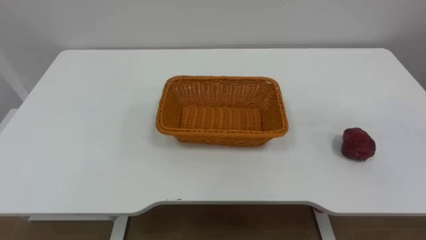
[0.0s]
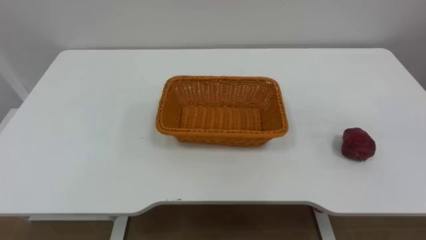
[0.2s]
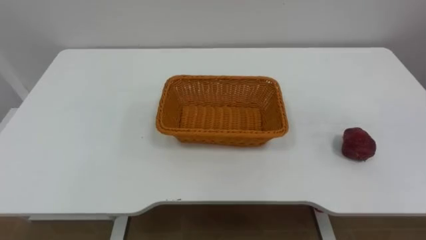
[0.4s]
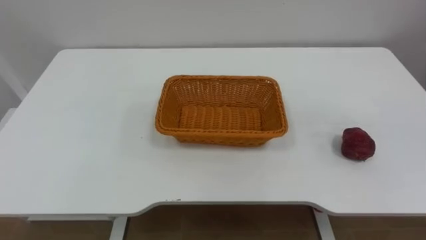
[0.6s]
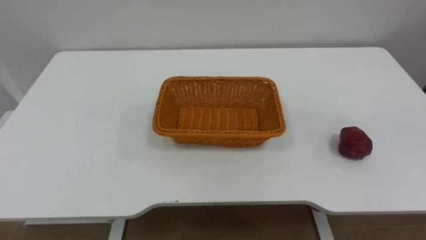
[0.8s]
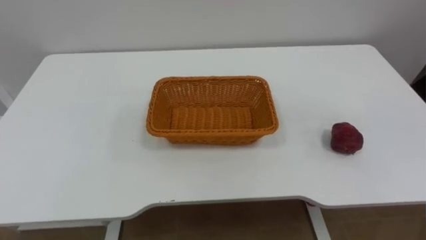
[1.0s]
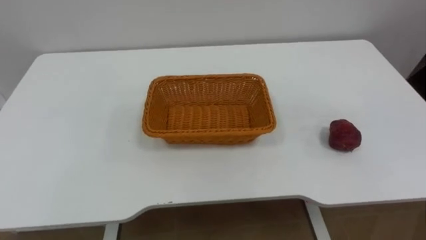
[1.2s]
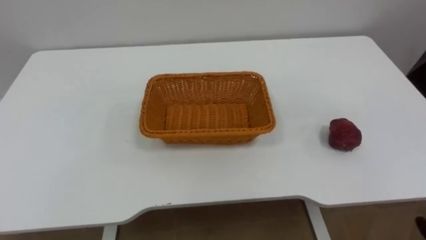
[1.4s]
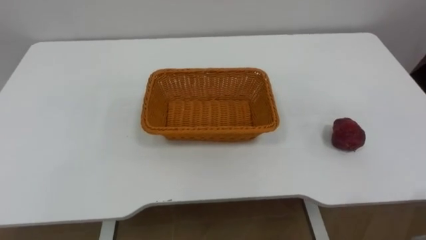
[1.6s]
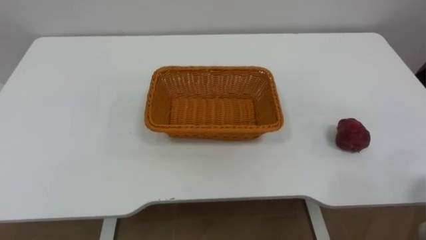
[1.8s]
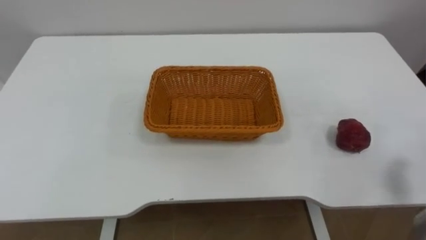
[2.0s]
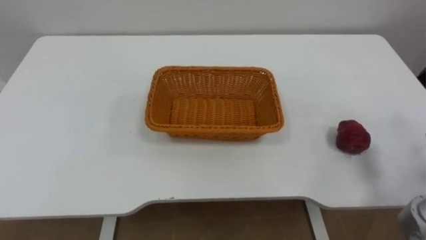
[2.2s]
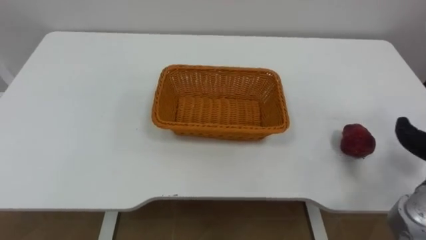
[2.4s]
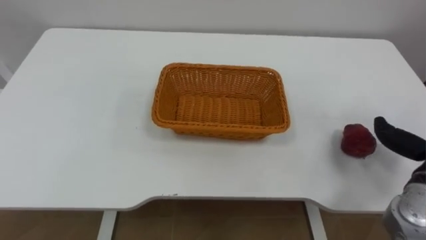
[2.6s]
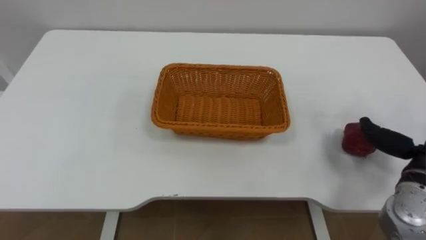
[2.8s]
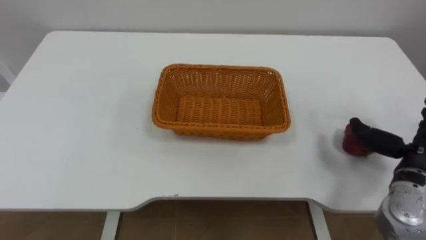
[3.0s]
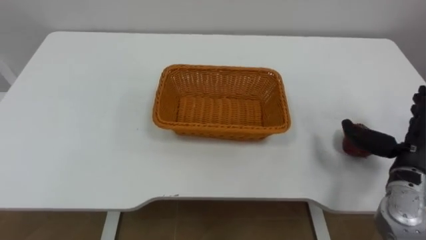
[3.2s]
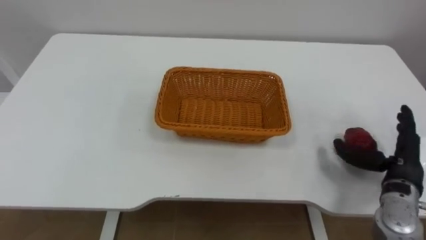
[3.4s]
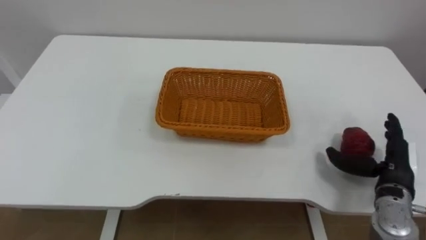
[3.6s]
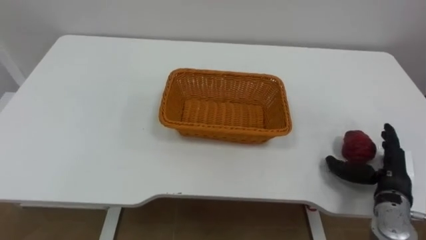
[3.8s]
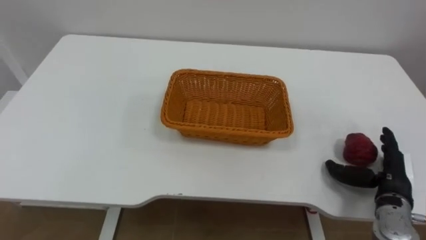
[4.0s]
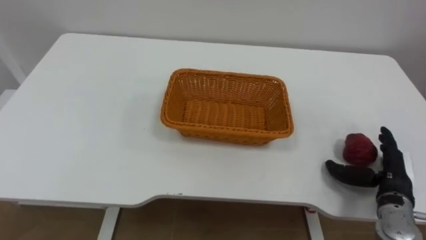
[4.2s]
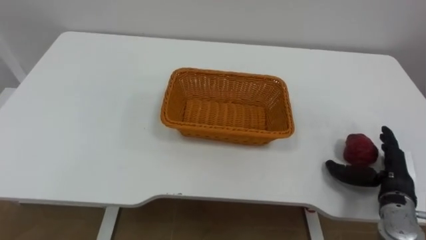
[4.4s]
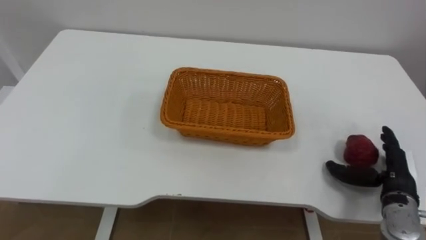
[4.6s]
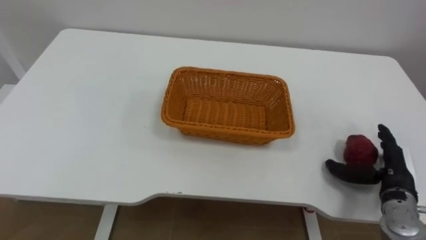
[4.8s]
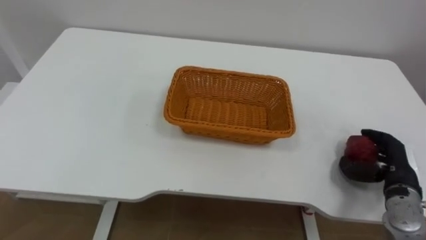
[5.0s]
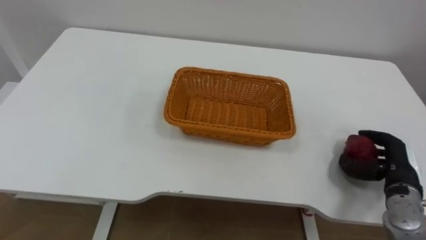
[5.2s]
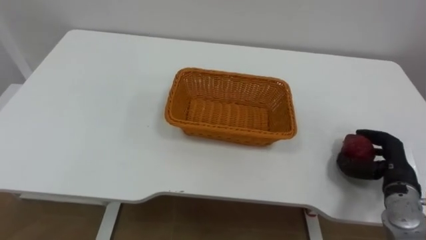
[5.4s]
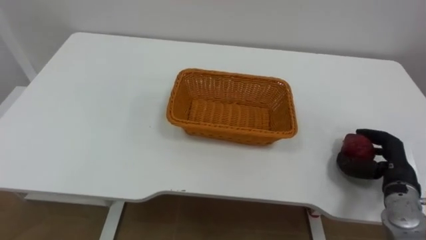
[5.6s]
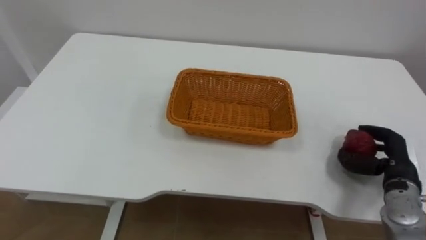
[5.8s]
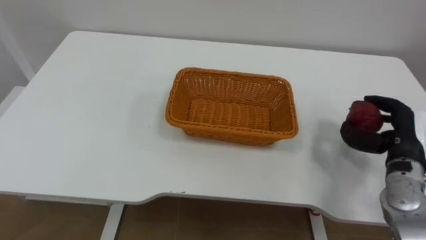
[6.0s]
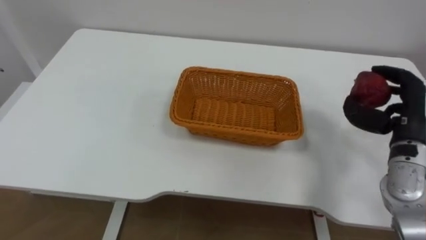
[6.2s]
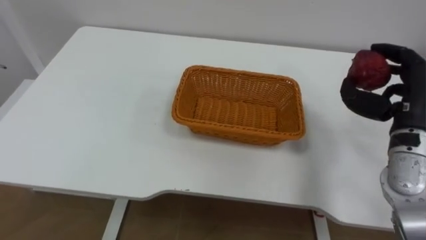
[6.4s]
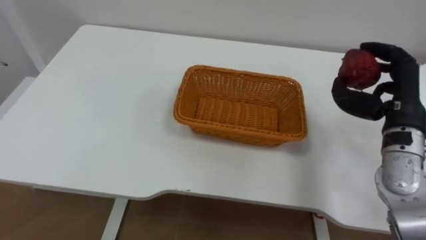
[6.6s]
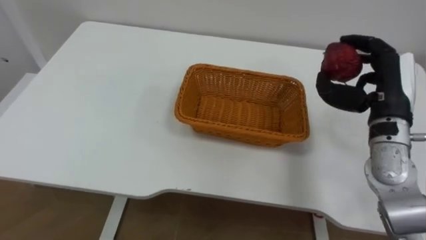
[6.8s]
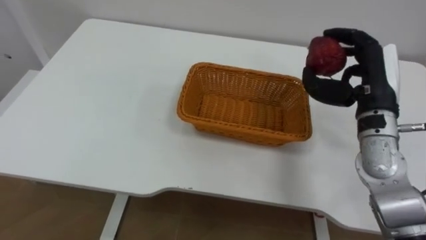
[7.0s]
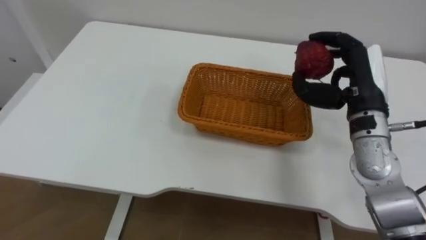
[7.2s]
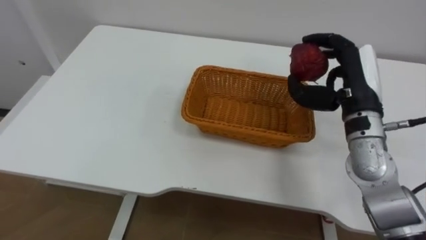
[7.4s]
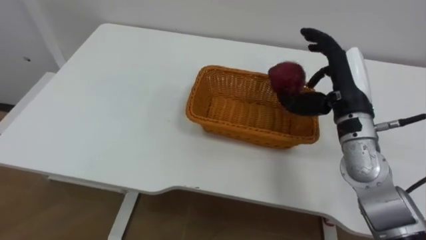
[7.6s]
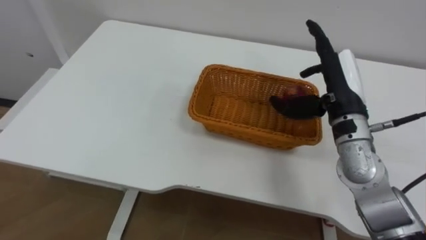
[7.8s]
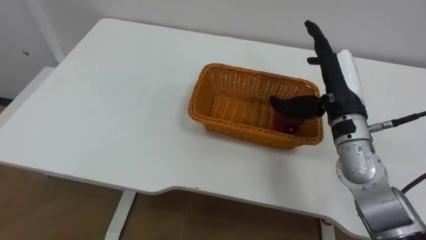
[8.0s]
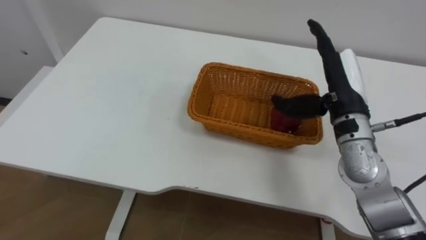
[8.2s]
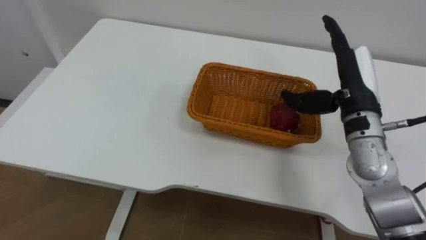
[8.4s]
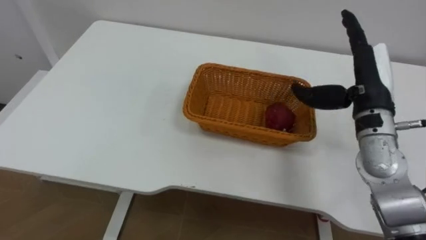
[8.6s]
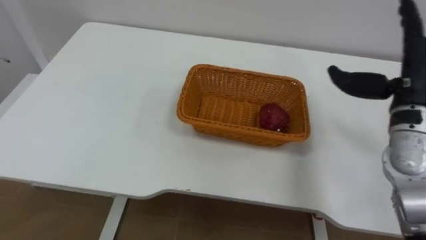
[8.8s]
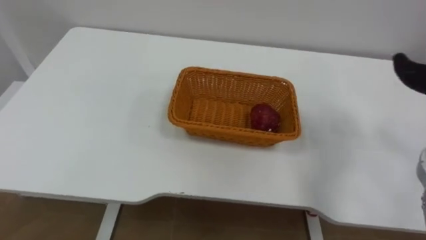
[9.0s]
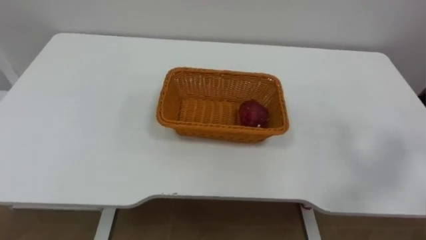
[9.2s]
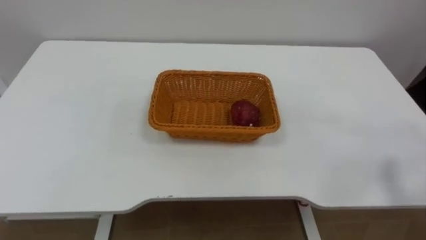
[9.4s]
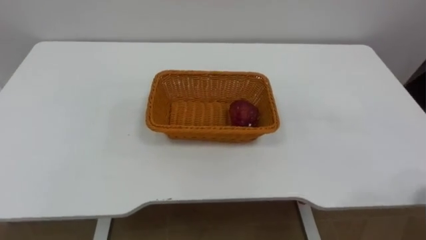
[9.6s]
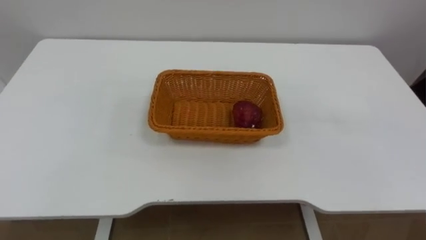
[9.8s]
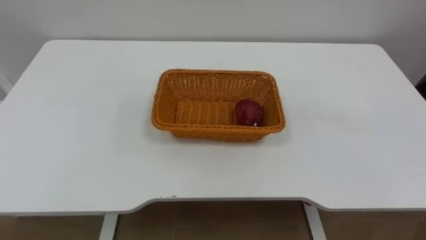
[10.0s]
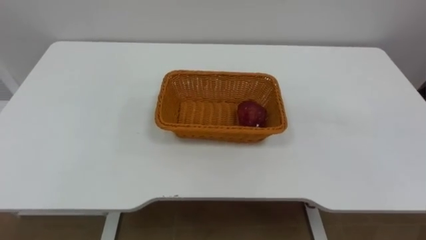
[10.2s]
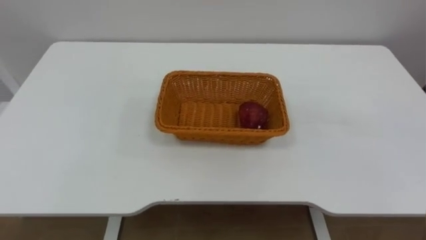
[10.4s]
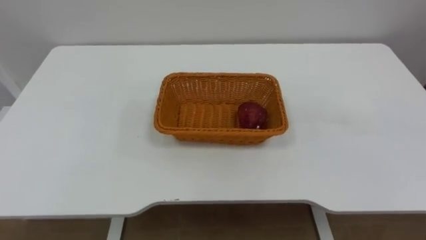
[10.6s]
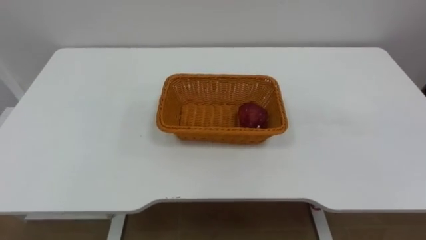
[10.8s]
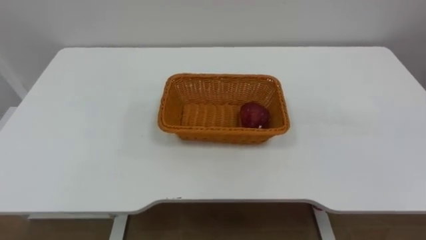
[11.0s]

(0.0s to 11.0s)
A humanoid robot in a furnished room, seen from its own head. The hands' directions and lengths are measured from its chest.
Task of the whole recording: Pick the apple and place it in the box.
3.2s - 4.8s: The right hand is displaced downward by roughly 5 cm.
4.8s - 6.2s: The right hand goes some 10 cm upward, and closes up.
6.2s - 7.8s: The right hand shifts roughly 10 cm to the left, and opens.

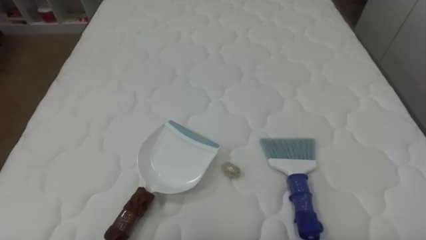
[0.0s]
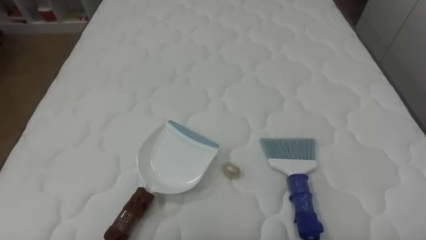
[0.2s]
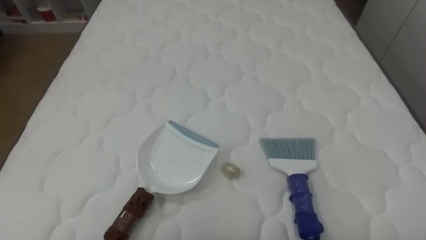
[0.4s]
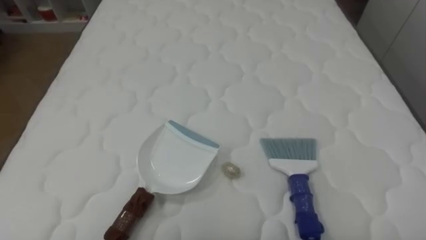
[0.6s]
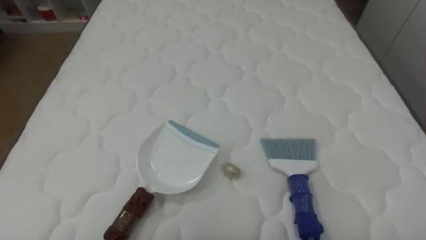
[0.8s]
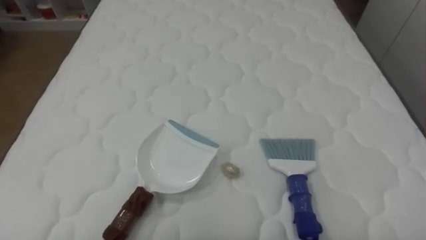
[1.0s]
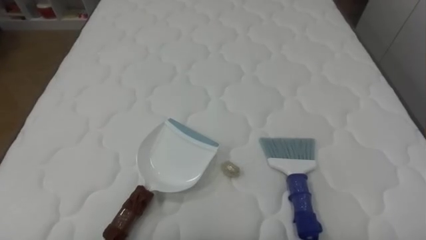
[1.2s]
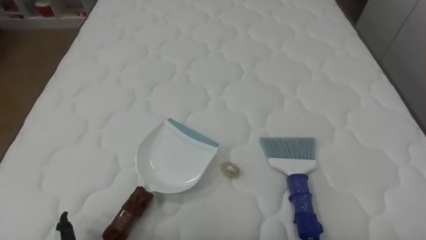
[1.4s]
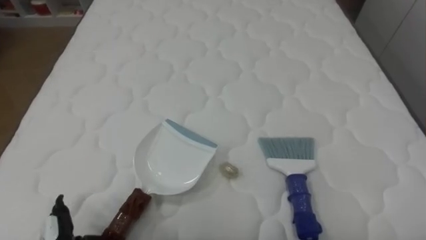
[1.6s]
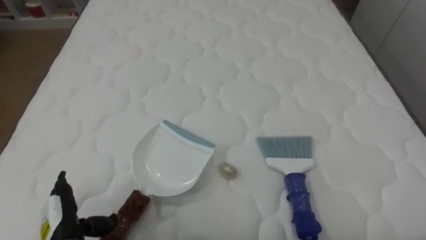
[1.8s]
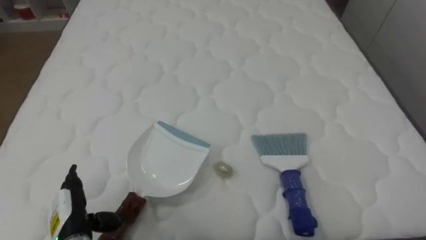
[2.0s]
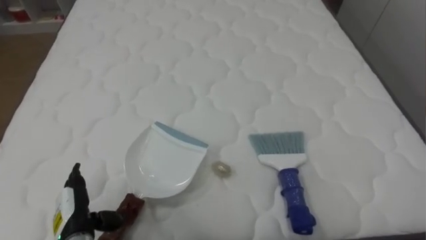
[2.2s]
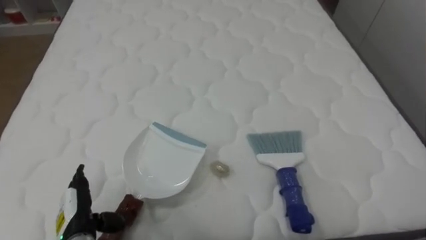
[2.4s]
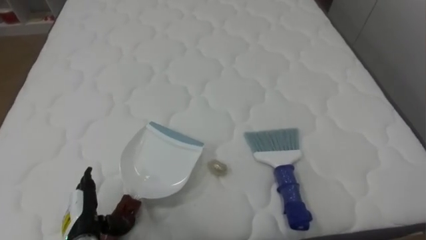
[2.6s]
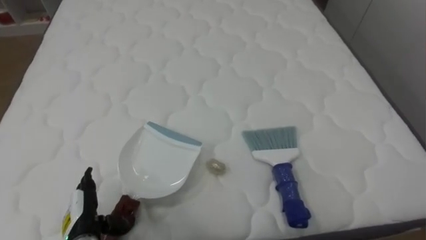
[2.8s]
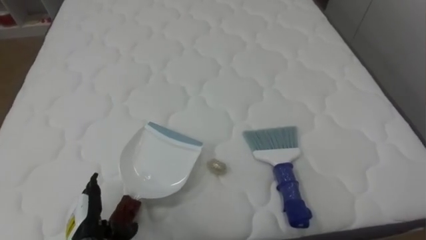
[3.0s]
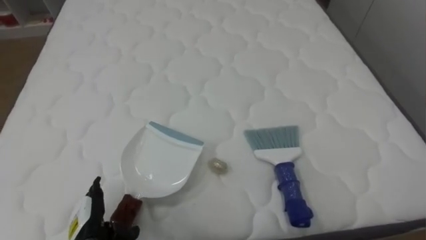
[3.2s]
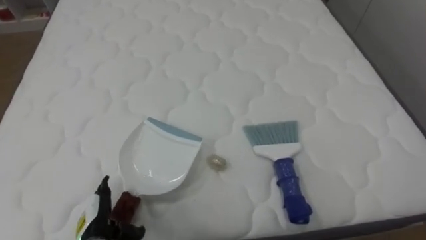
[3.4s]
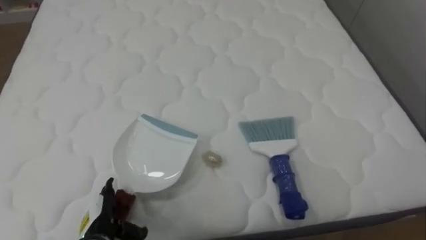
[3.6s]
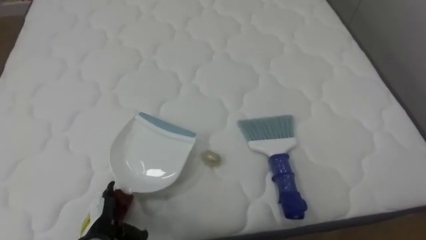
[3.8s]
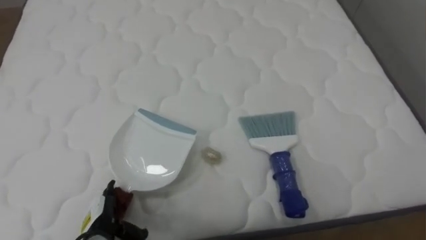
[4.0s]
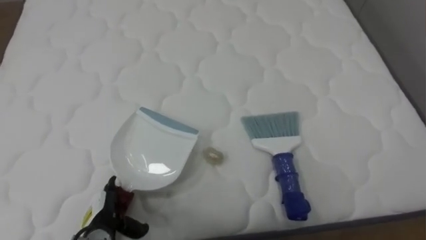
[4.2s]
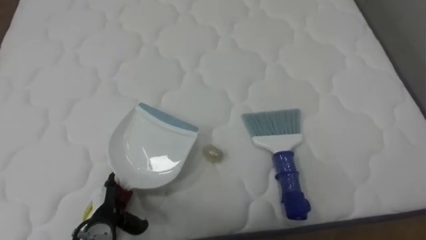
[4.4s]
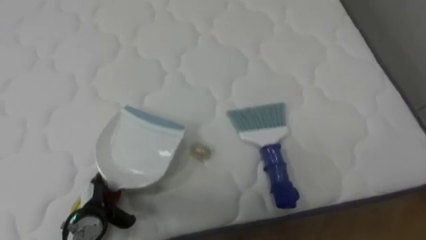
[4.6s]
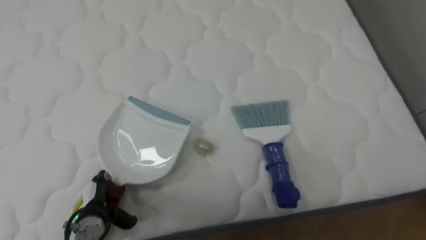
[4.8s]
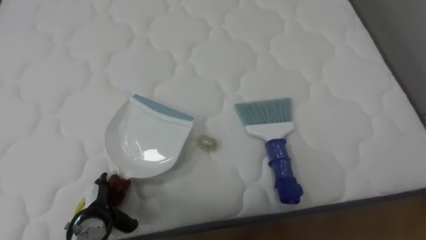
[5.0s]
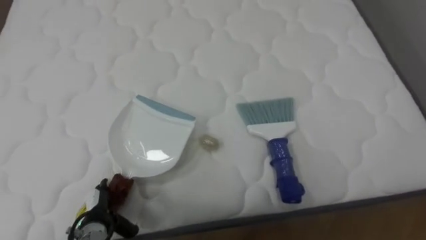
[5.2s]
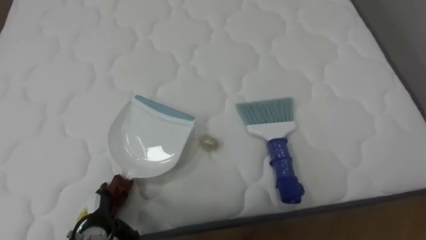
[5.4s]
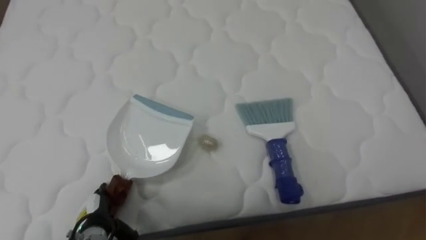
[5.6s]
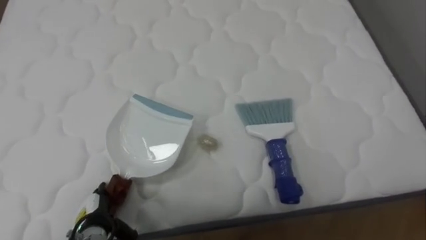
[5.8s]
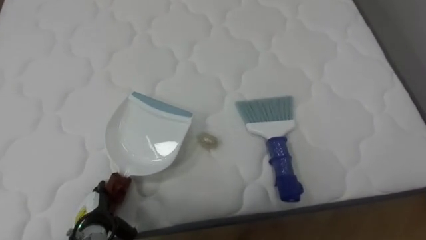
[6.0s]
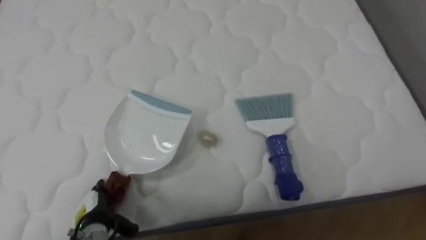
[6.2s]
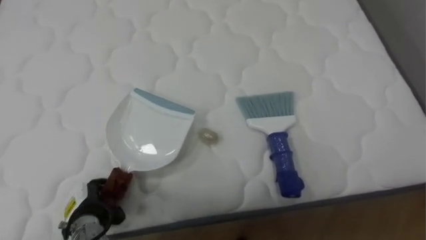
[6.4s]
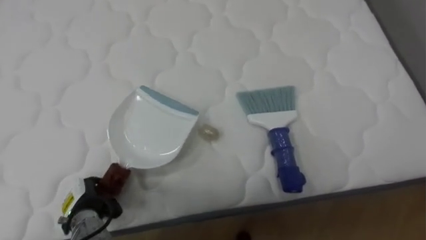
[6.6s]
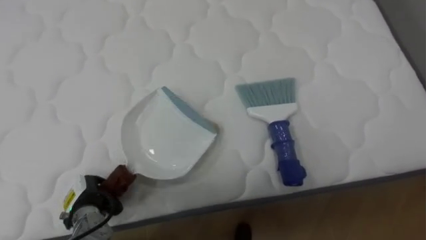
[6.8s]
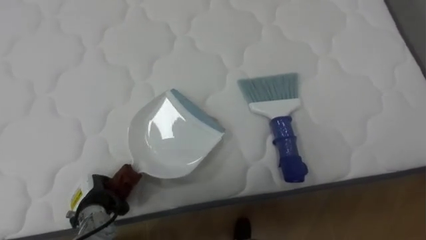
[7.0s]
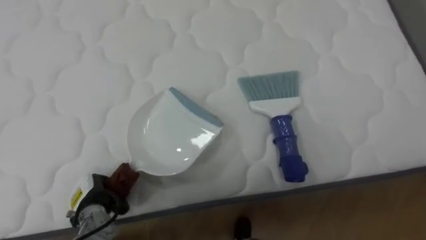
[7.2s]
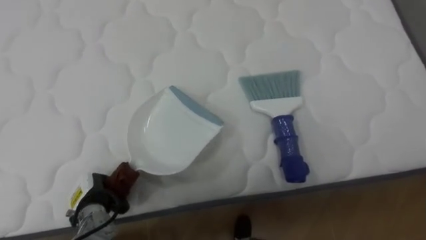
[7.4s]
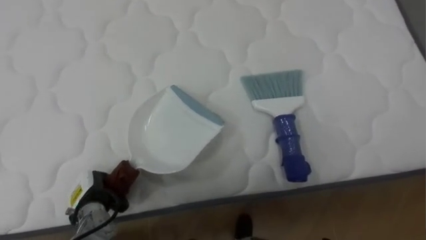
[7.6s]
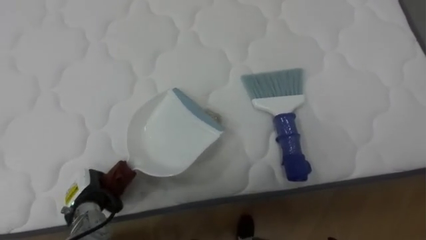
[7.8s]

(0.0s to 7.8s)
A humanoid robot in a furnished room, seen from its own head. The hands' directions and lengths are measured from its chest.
Task of the whole recording: Pick up the brush on your right and the dustpan on your left. Use the brush to sweep the crumpled paper on the bed into the dustpan, then turn left and empty it into the basket.
6.2s - 7.8s: The left hand ends up approximately 5 cm from where it was, and closes.
